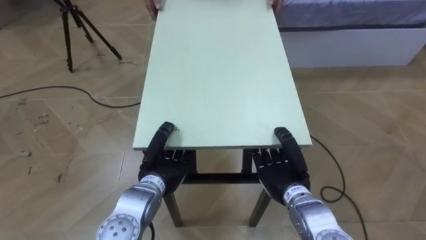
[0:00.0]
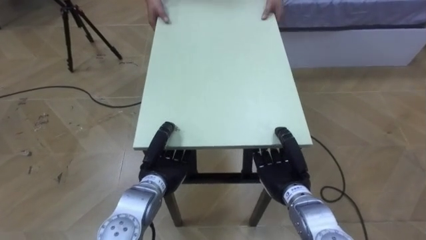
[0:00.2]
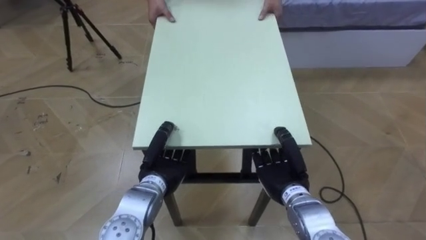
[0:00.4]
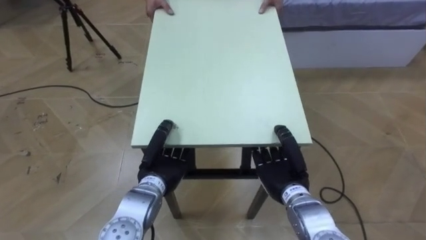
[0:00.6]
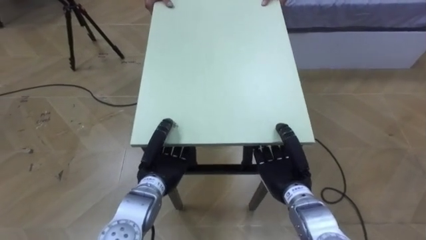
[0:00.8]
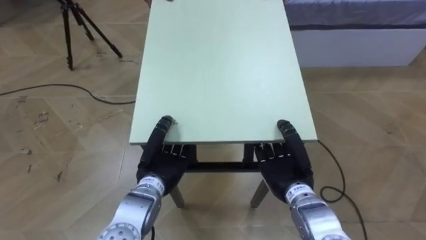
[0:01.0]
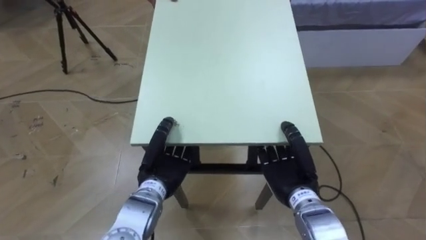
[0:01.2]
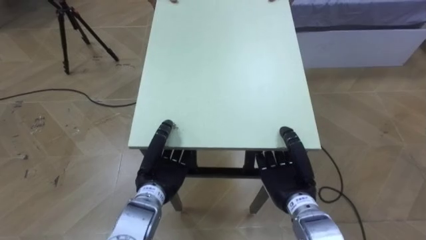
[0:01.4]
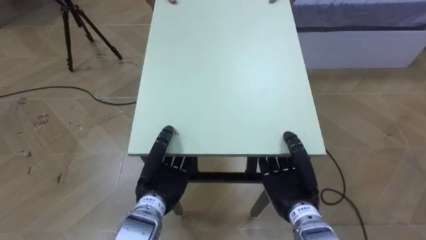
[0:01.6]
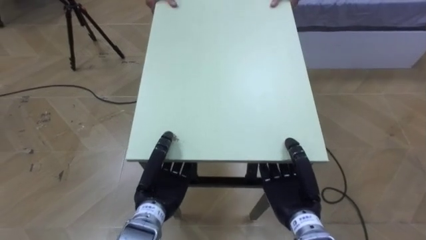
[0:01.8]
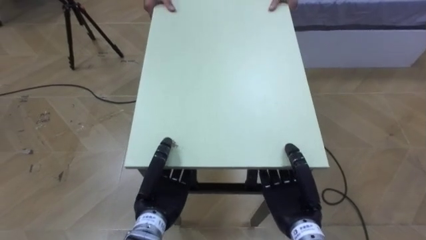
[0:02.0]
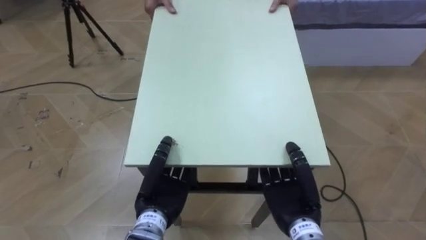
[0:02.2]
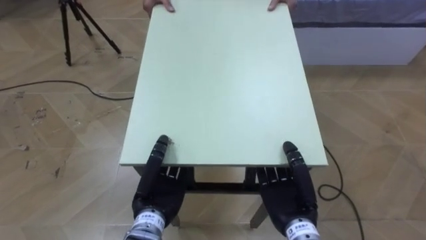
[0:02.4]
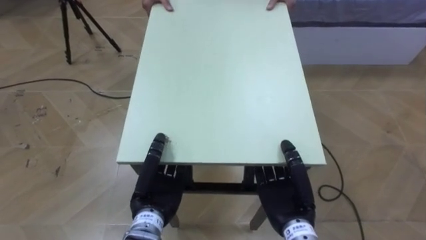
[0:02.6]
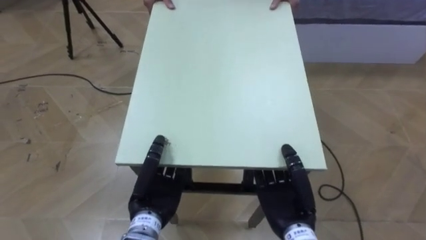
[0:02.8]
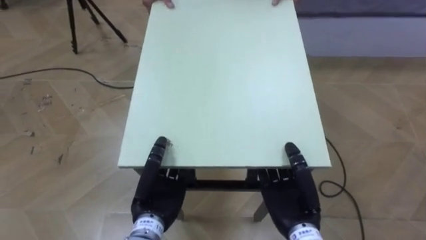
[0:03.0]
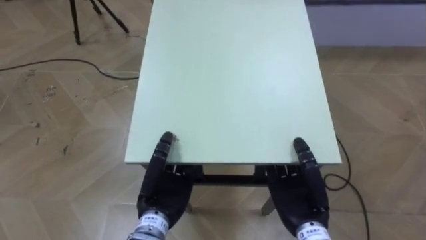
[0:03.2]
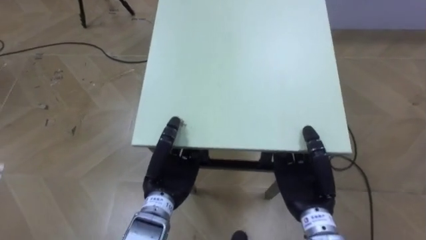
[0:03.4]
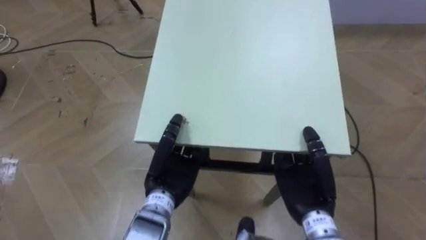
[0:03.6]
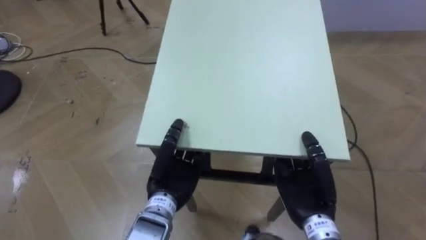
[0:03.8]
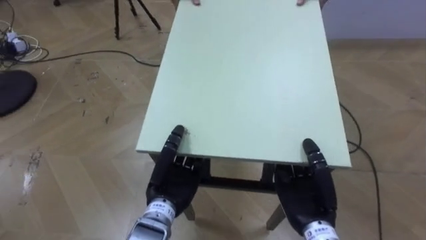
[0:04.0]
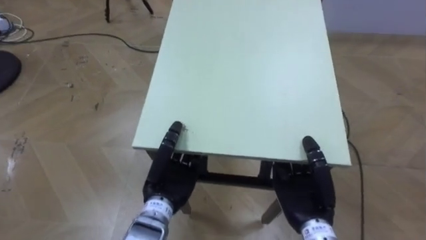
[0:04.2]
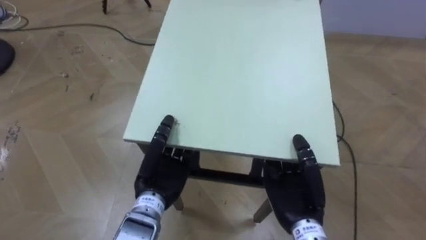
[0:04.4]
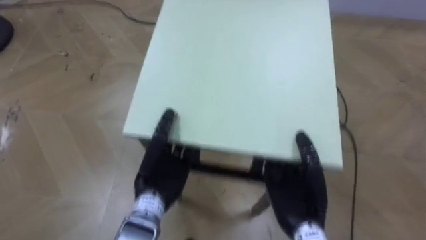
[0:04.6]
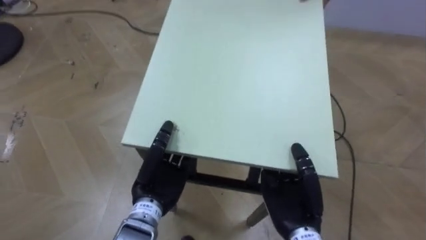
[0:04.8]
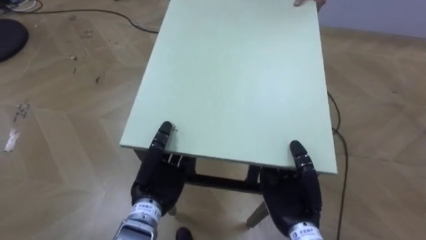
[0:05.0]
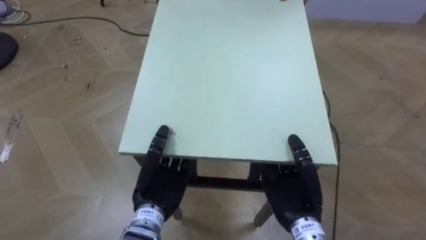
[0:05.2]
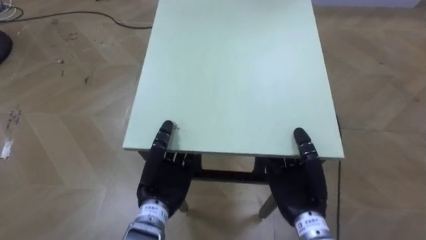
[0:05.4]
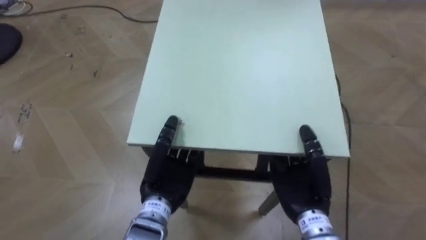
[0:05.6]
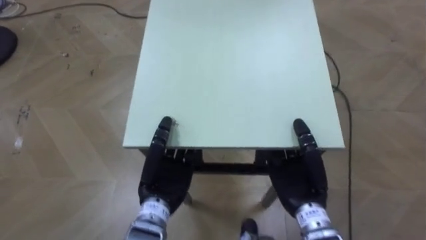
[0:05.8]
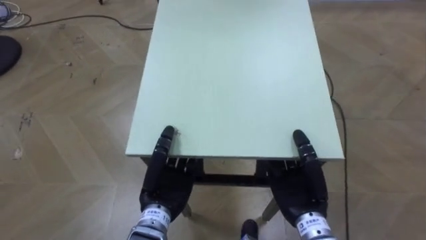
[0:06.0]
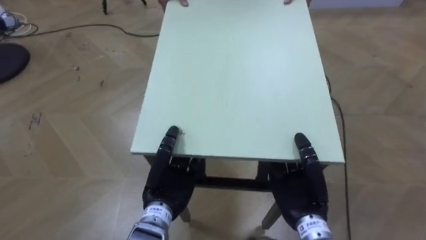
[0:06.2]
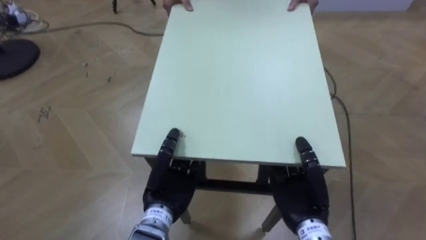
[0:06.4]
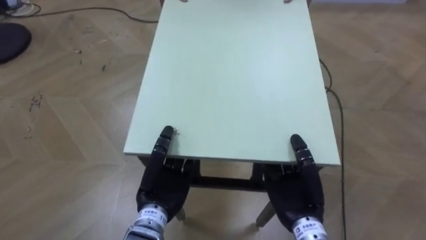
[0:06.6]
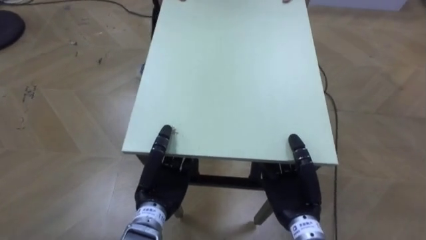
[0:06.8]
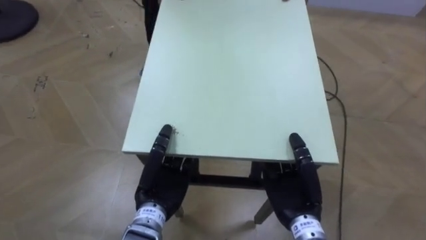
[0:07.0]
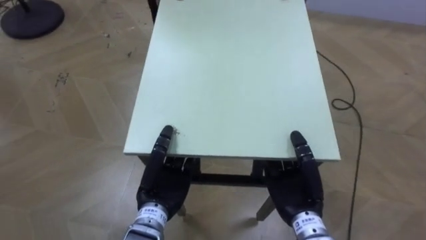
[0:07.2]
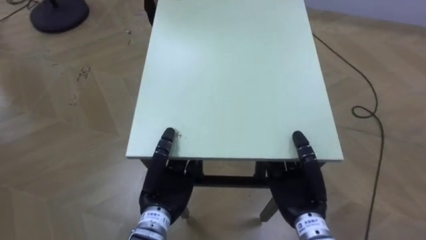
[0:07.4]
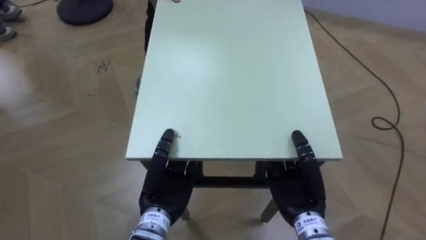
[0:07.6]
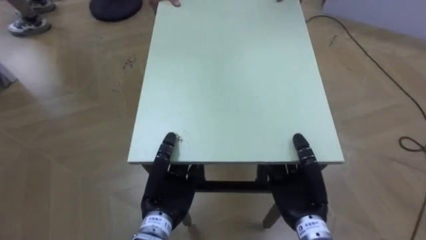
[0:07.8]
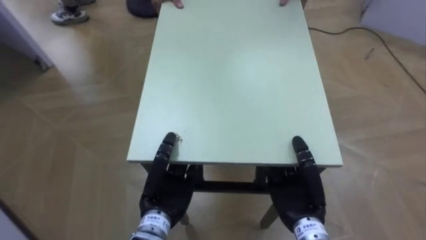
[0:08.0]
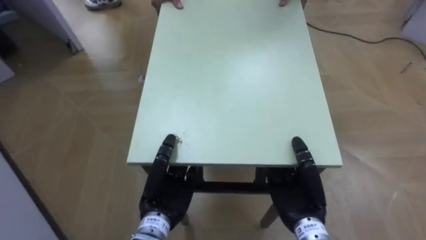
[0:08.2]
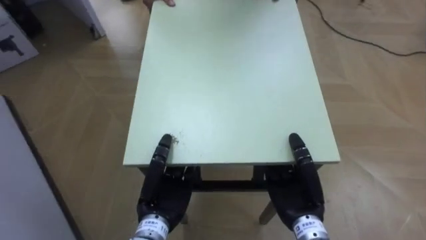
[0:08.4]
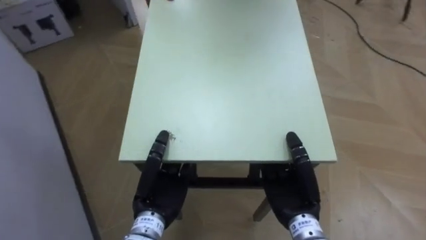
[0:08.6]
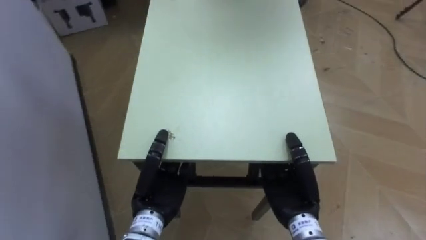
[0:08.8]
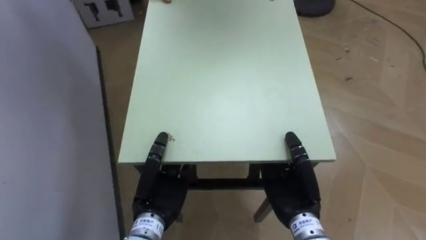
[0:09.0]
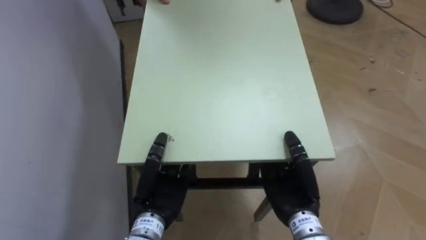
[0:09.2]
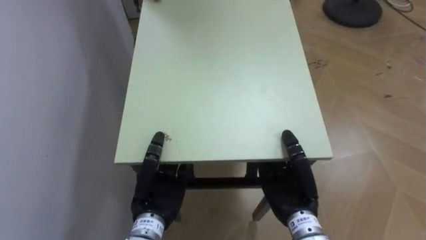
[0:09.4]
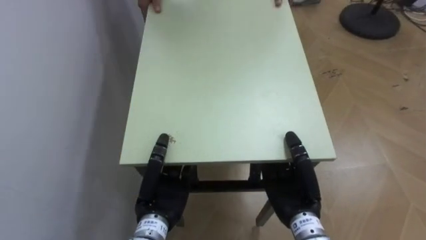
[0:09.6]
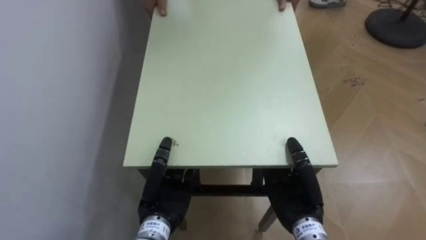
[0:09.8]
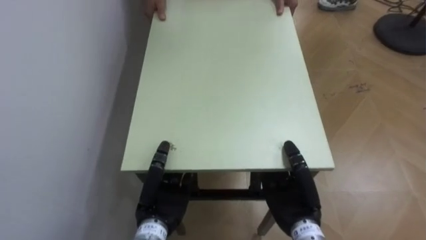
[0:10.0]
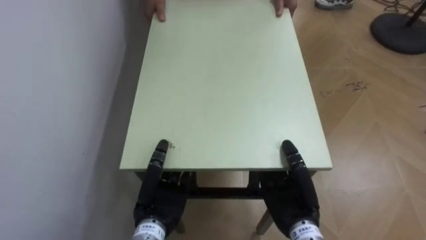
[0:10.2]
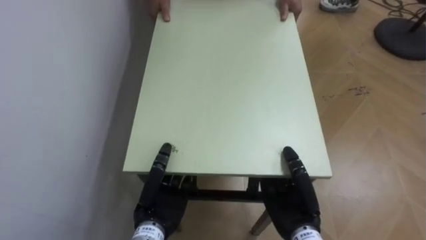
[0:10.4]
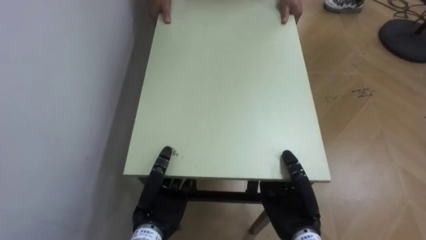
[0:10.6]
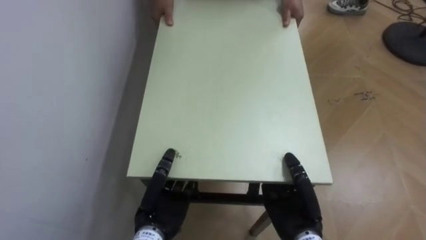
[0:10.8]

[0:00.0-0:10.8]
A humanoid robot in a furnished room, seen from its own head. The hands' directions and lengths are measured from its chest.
Task of the whole recording: Move the table to the back left with someone.
0:00.0 to 0:01.6: There are only small adjustments of the hands.
0:07.8 to 0:09.2: The robot's body swings roughly 50 degrees to its left.
0:09.2 to 0:10.8: The robot rotates approximately 15 degrees to its left.

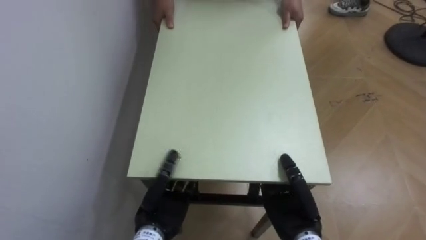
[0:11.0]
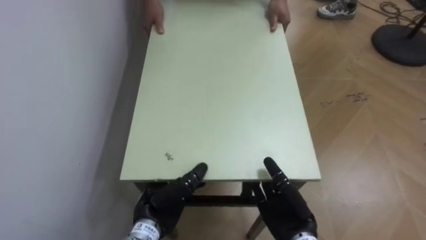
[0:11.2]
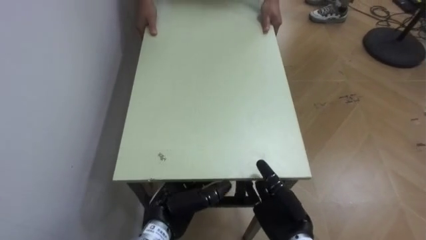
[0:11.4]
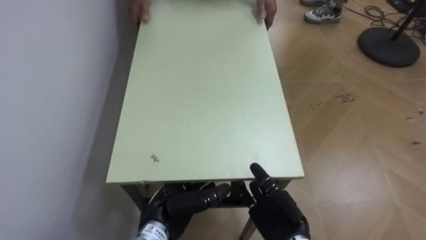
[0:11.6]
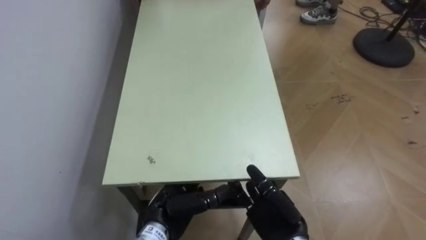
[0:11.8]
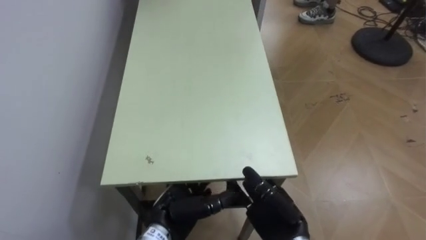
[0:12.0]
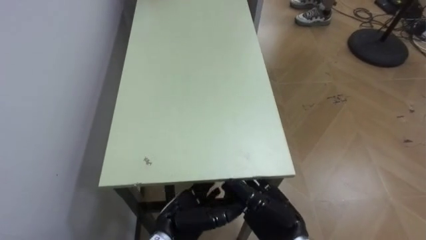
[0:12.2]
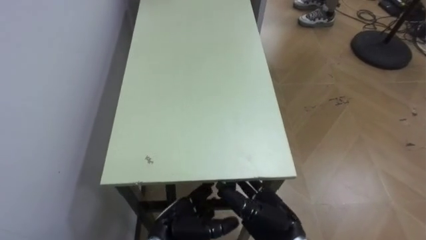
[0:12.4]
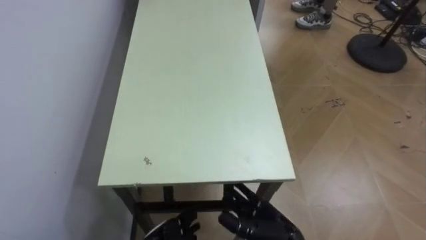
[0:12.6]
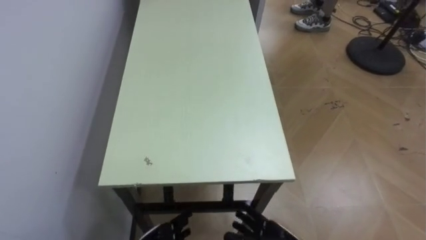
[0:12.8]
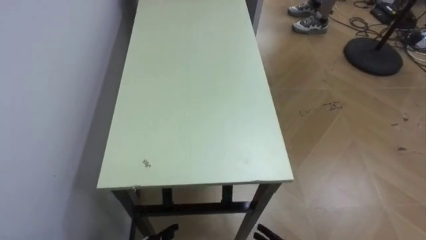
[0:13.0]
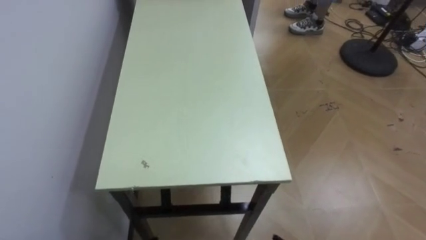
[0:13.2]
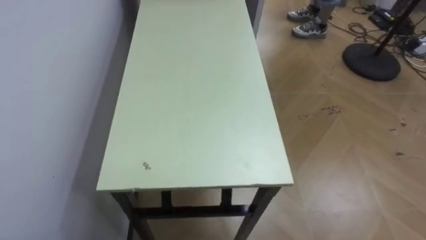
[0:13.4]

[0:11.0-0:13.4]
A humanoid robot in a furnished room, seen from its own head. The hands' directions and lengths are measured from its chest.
Task of the whole recording: Move the table to the back left with someone.
0:11.0 to 0:12.2: The left hand opens; the right hand opens.
